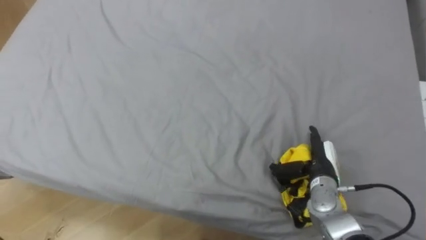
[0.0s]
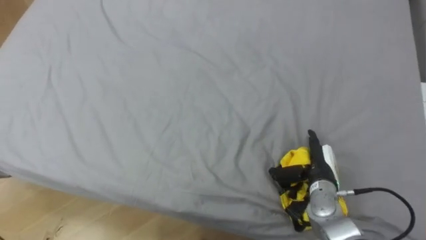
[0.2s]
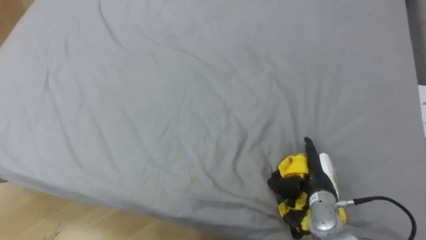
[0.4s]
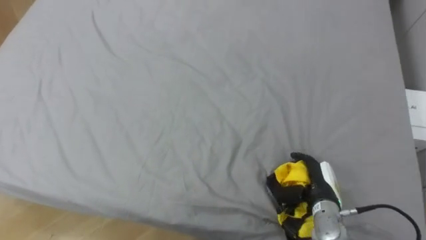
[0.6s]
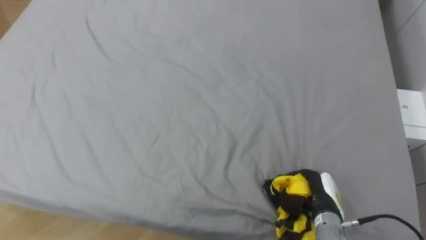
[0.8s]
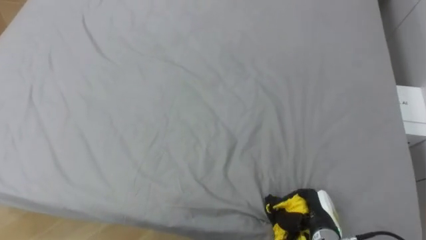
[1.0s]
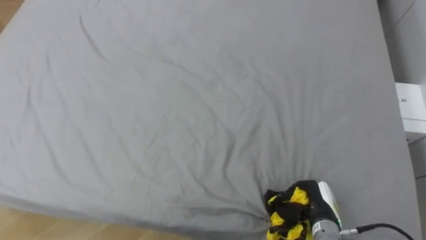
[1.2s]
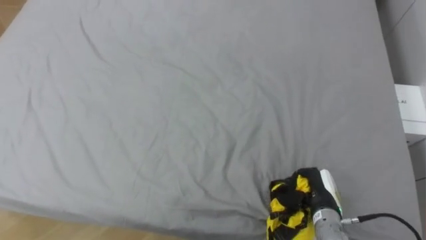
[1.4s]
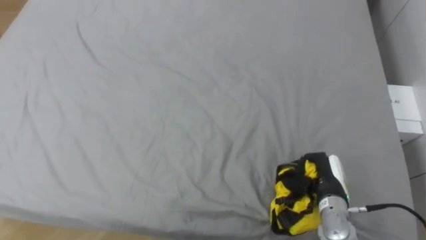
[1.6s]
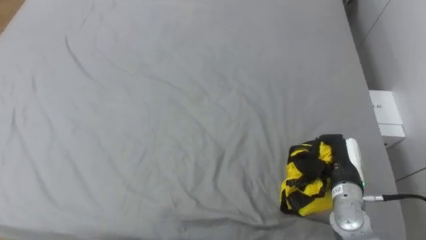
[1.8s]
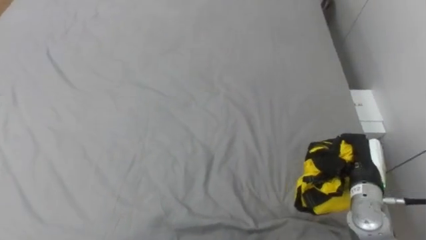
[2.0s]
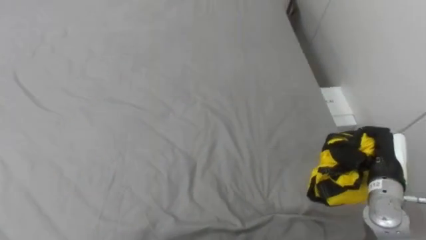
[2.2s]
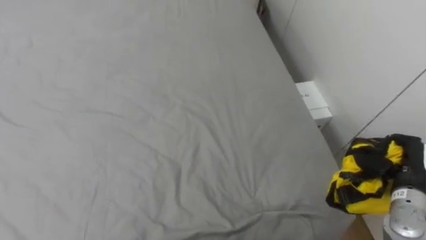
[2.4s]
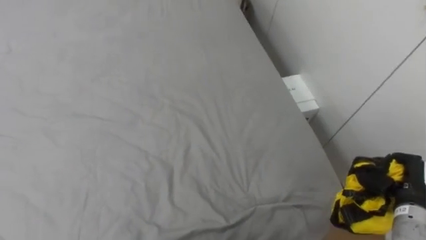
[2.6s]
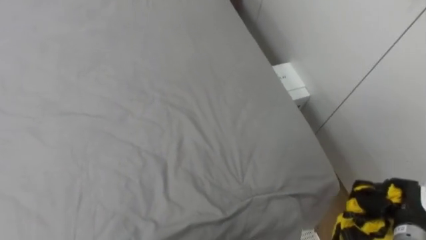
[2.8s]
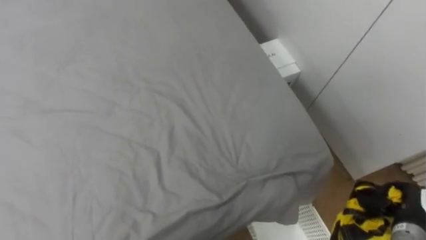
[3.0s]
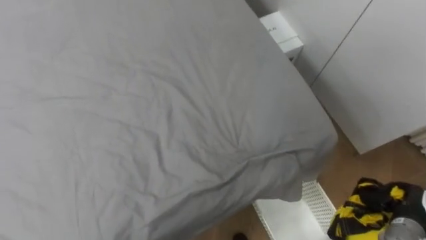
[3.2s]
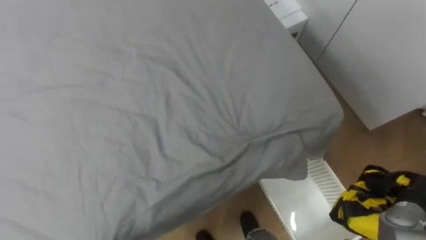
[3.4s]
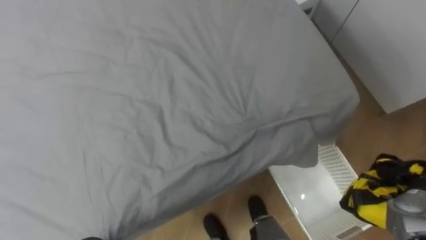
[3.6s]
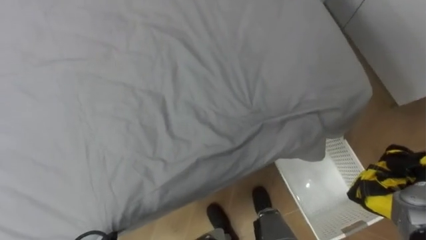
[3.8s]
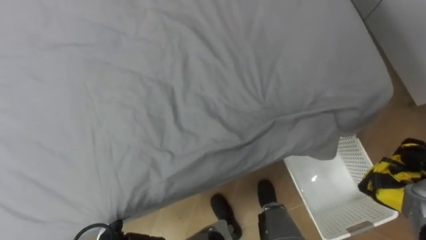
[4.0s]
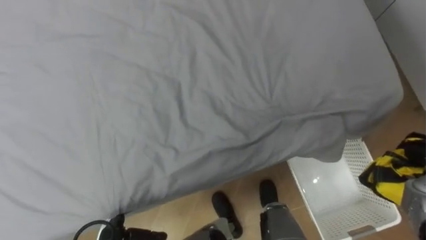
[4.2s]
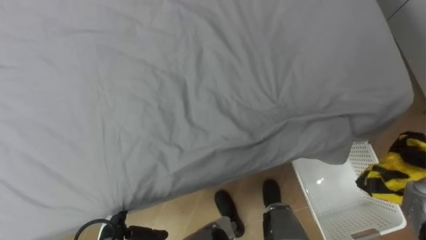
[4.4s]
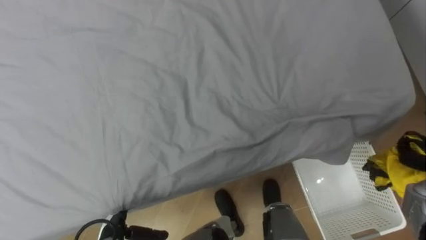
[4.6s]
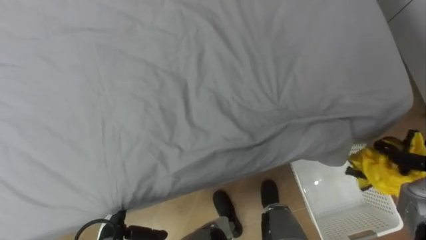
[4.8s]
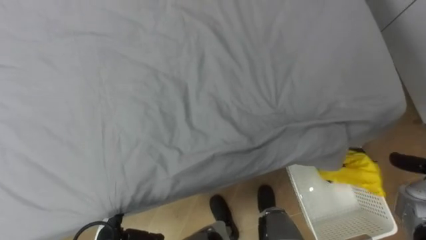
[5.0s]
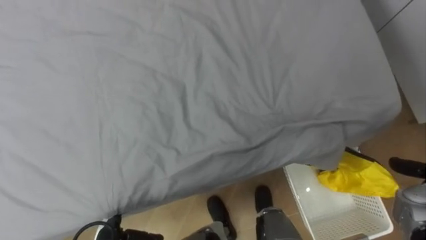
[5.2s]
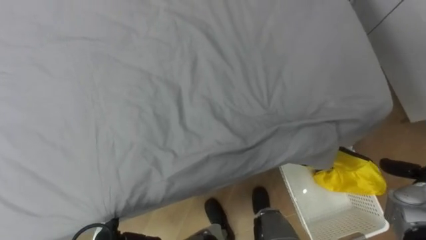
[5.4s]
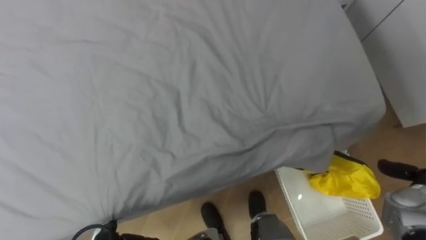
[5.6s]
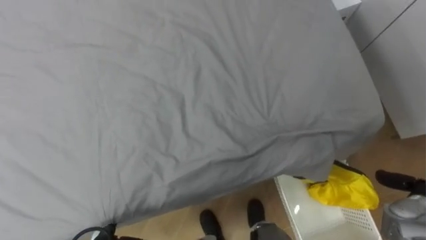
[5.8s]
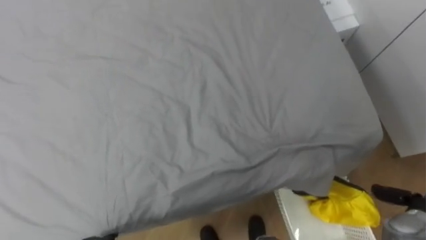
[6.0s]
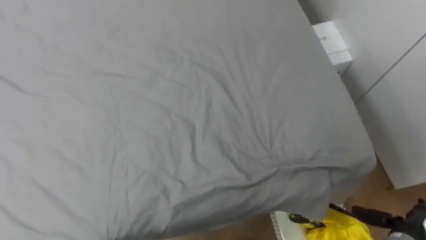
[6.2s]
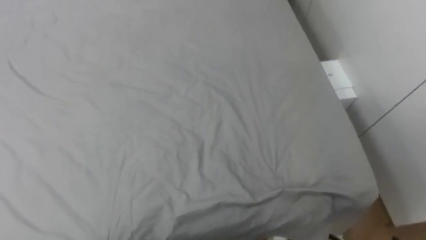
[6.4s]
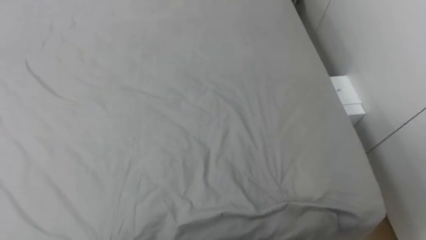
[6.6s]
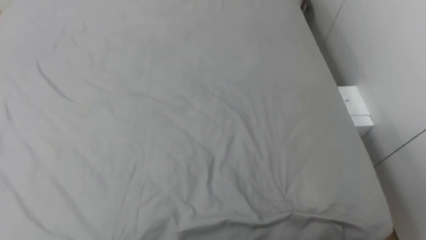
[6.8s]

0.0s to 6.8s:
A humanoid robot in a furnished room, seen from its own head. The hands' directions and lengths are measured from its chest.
Task of the whole recording: Pick up the yellow clothes on the bed and place them into the white basket on the right.
0.0s to 1.4s: The right hand shifts about 5 cm backward, and closes its fingers.
1.4s to 2.8s: The right hand travels to the right by roughly 15 cm.

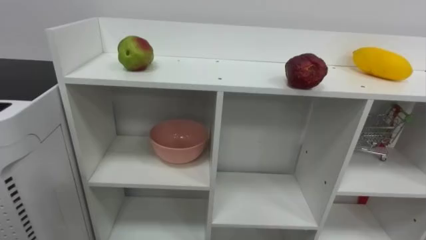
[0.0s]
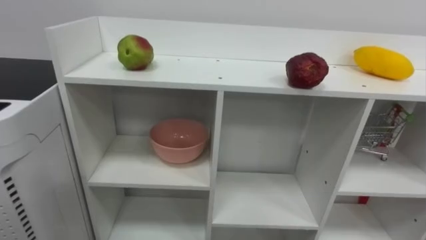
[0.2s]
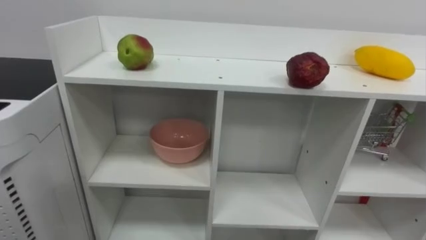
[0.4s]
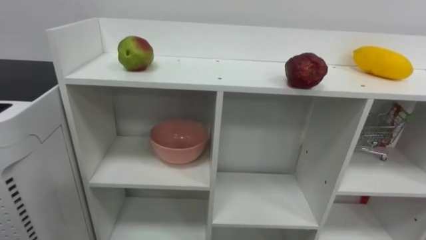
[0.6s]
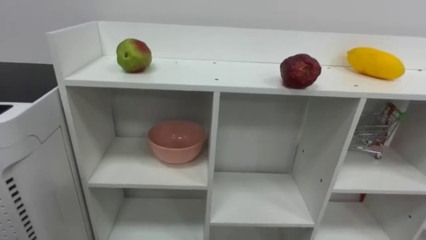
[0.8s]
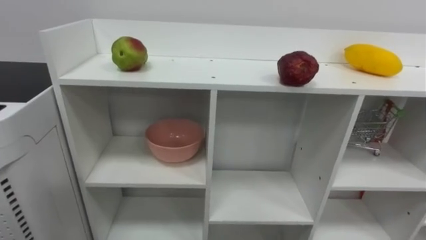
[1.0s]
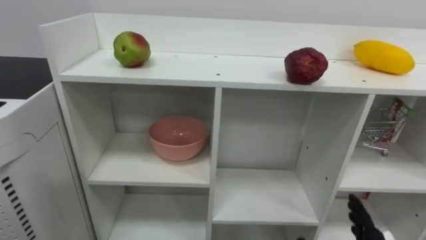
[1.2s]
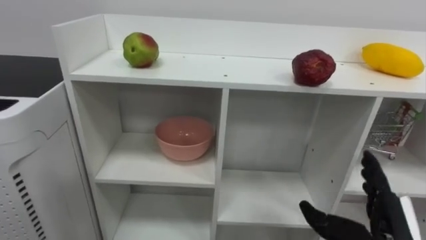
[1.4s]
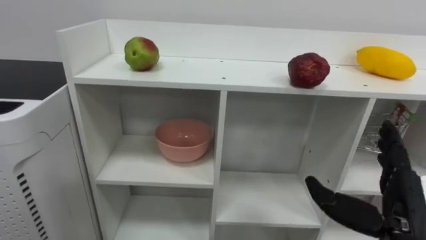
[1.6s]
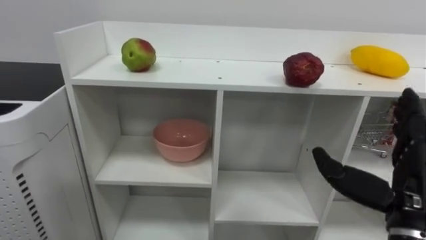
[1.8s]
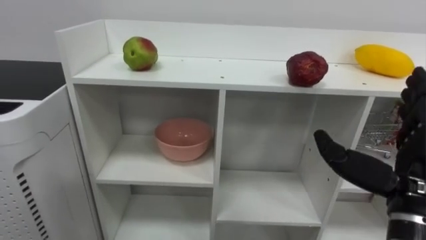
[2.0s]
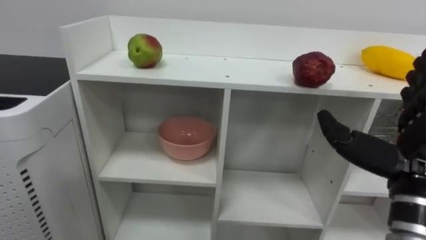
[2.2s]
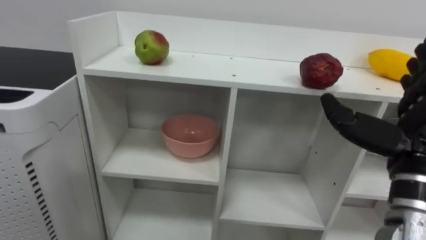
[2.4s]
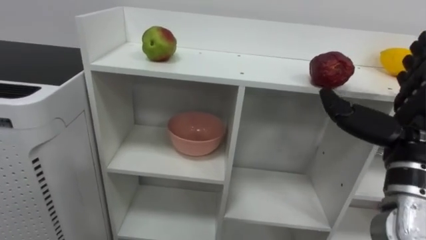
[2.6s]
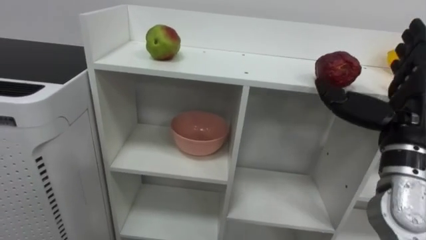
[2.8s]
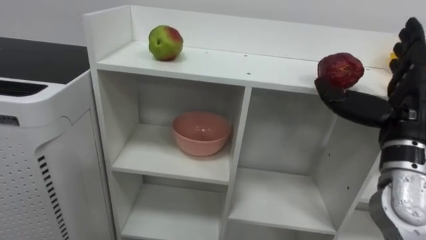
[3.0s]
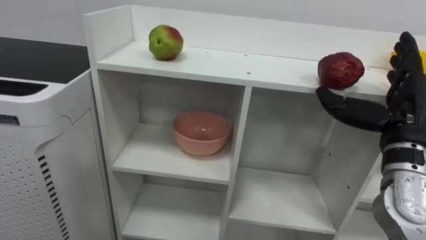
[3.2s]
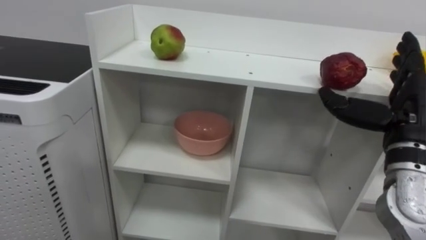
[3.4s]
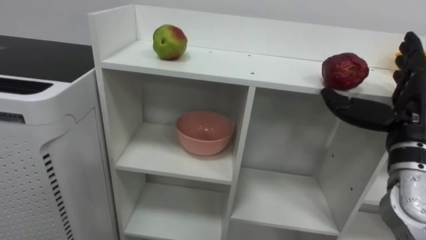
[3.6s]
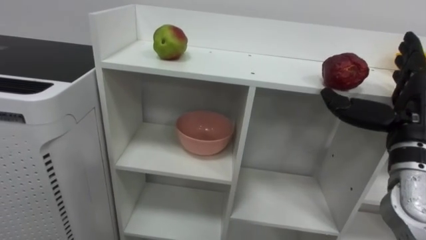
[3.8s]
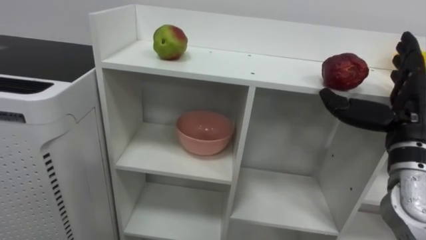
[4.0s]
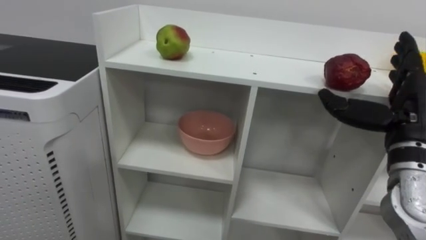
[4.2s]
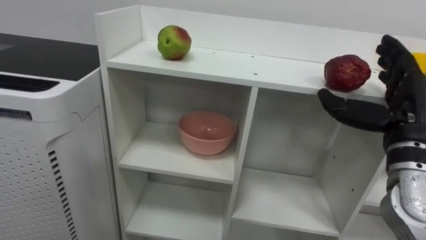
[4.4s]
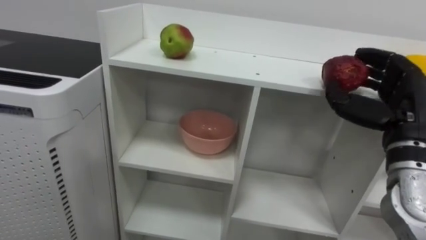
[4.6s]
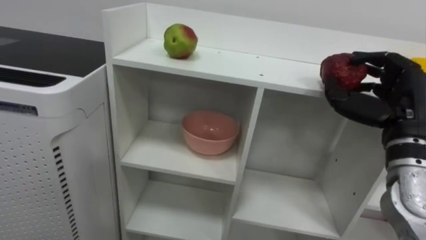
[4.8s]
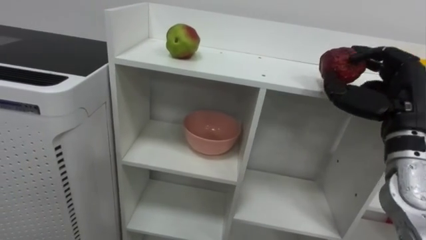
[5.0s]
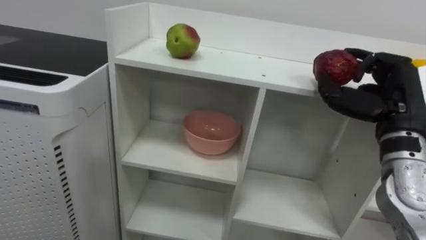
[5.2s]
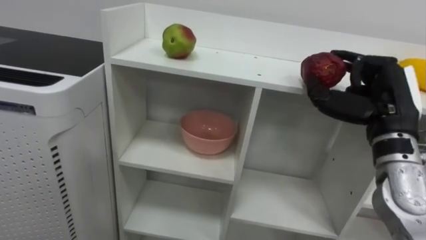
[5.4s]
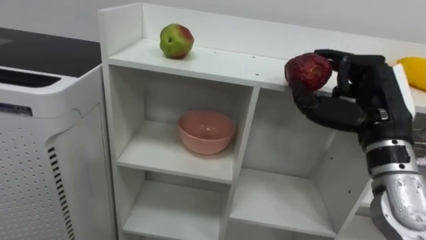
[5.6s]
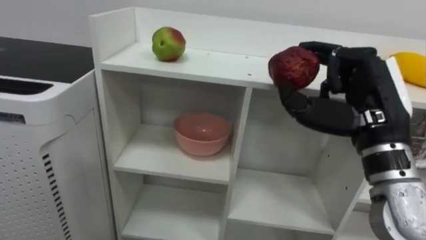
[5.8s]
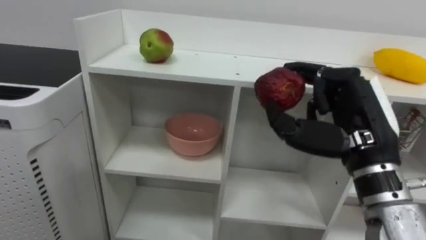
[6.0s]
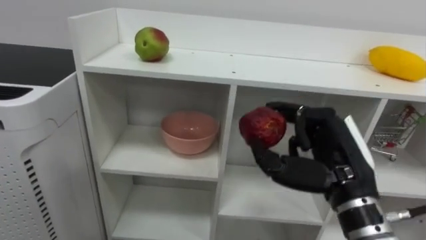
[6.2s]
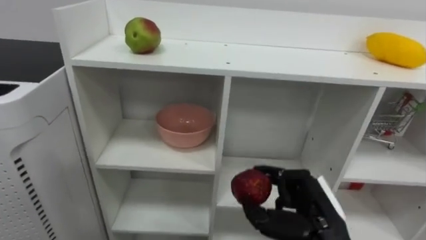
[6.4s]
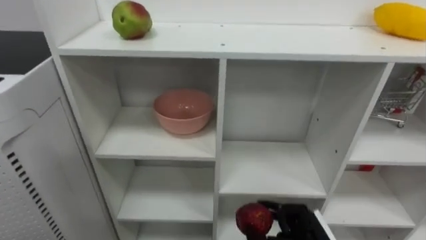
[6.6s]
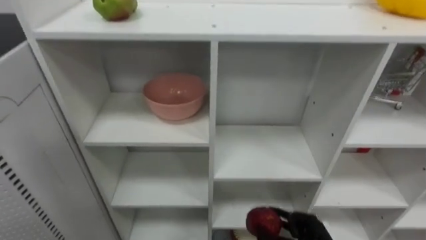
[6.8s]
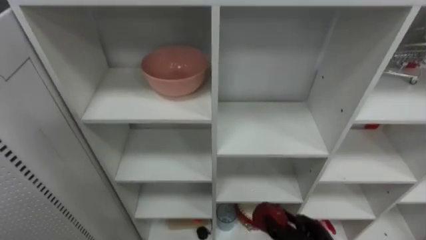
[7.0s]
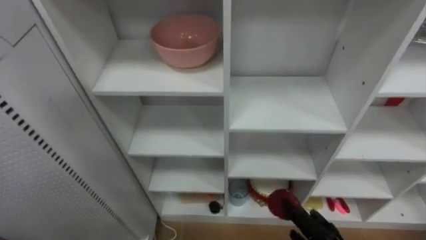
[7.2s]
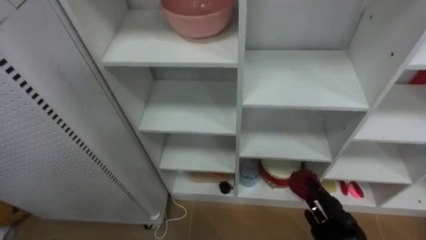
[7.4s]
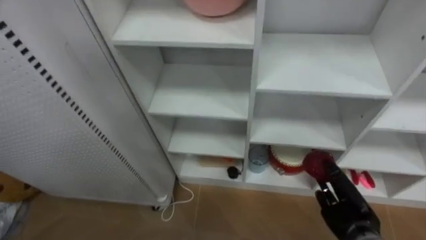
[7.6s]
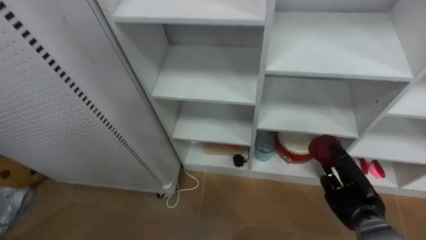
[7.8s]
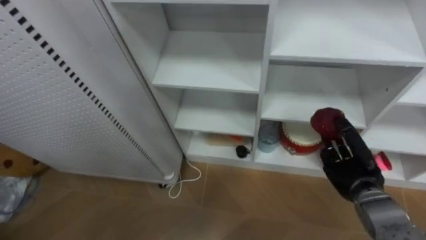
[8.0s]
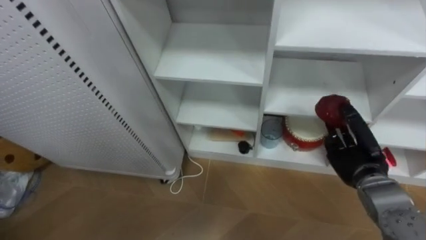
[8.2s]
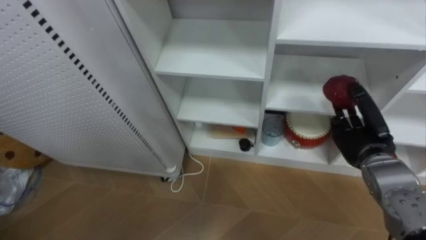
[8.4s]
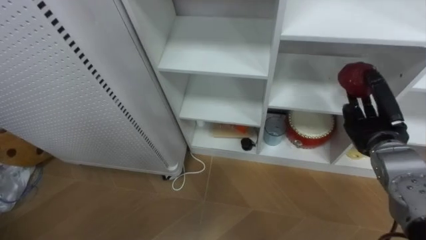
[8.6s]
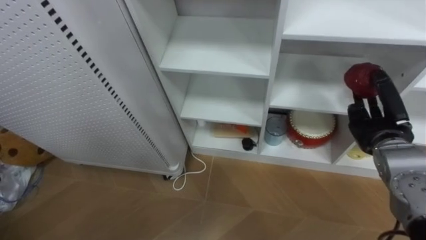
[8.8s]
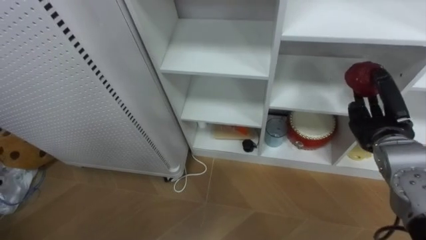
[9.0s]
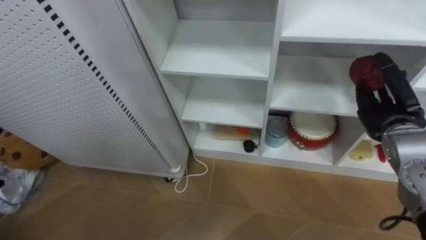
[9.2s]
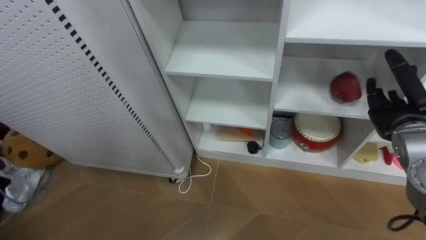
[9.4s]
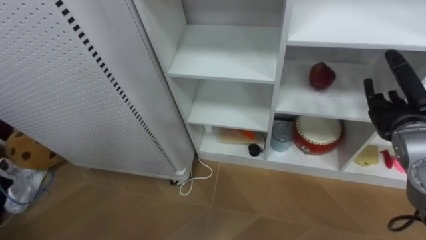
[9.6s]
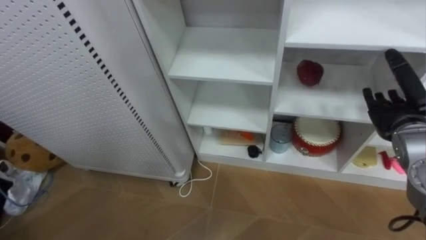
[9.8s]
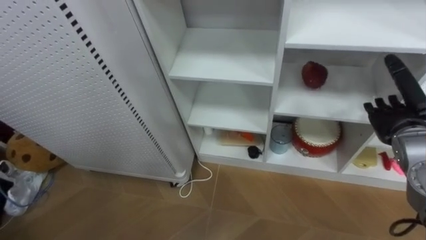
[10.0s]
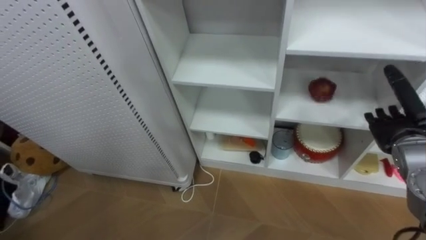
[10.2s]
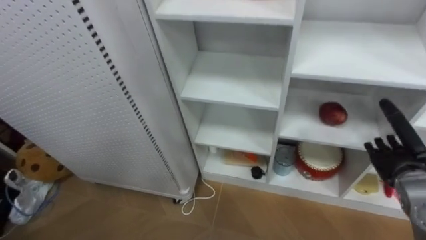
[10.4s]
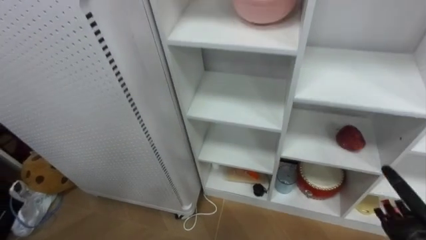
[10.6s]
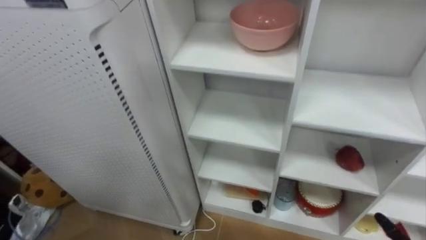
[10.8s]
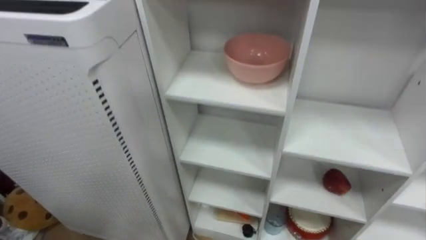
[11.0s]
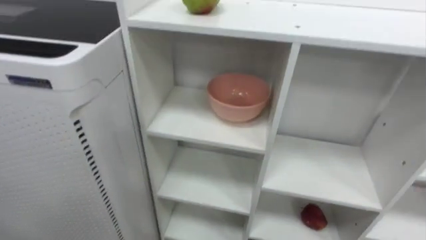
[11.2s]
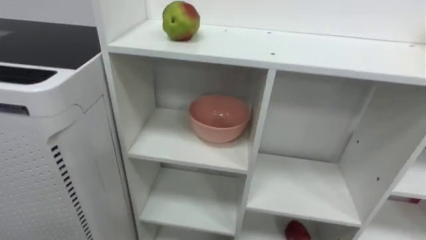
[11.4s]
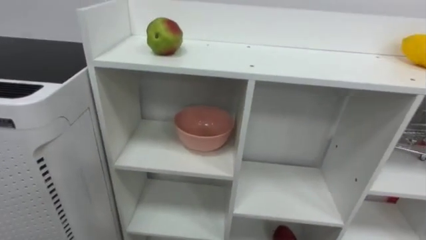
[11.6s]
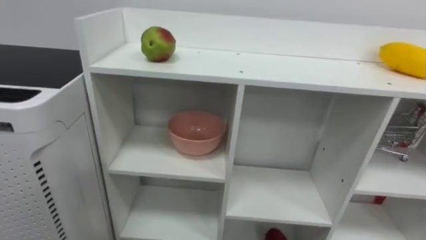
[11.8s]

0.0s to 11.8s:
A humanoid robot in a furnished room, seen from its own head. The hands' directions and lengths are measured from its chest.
Task of the whole recording: Put the apple in the cell in the second column from the left and the second row from the top.
1.4s to 3.0s: The right hand goes about 20 cm upward and forward.
4.4s to 6.0s: The right hand shifts roughly 10 cm to the left, and closes up.
7.4s to 8.8s: The right hand heads upward and forward, covering some 20 cm.
8.8s to 10.4s: The right hand heads downward, covering approximately 5 cm, and opens its fingers.
